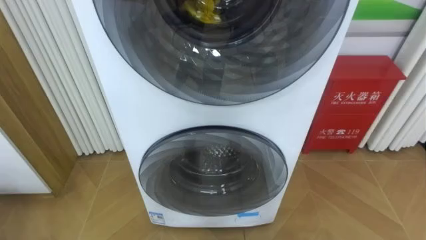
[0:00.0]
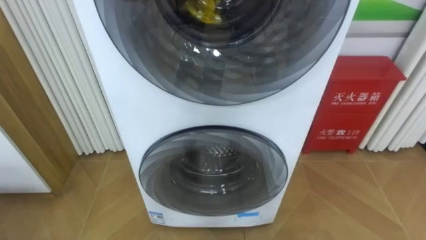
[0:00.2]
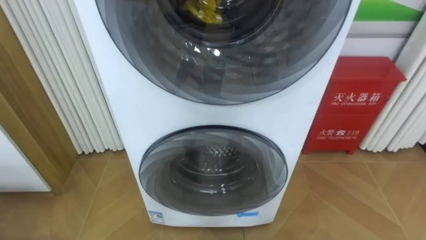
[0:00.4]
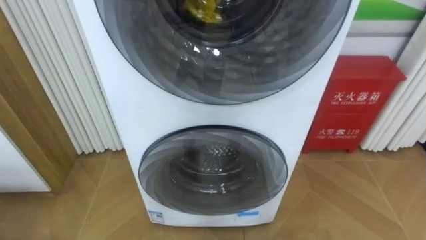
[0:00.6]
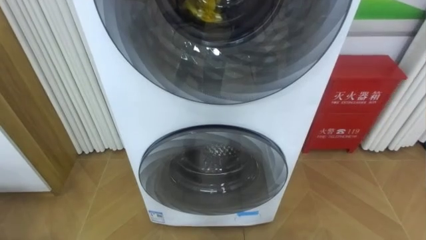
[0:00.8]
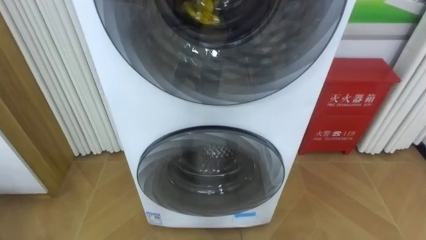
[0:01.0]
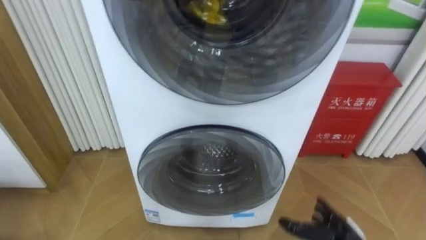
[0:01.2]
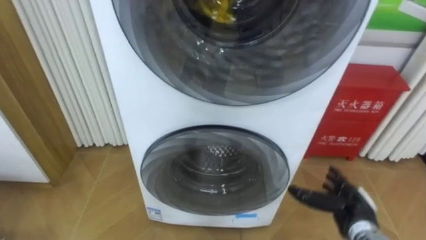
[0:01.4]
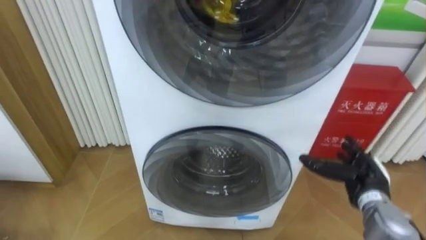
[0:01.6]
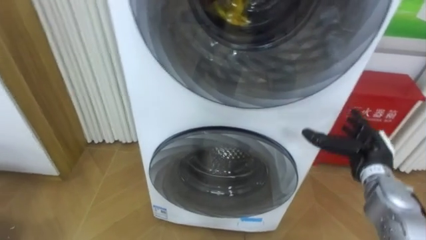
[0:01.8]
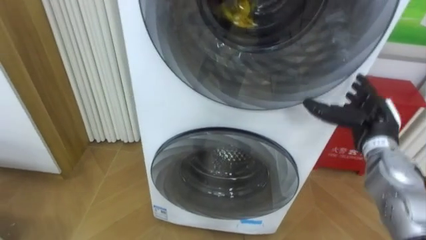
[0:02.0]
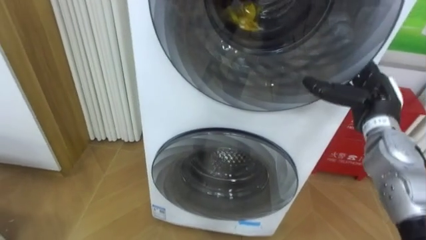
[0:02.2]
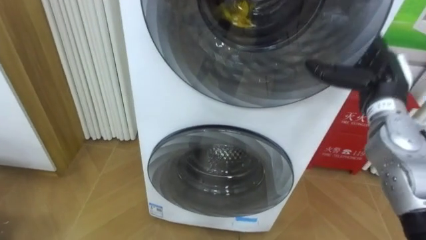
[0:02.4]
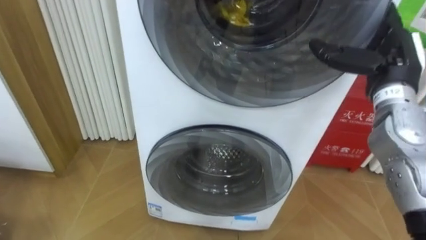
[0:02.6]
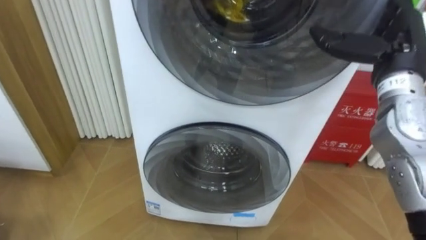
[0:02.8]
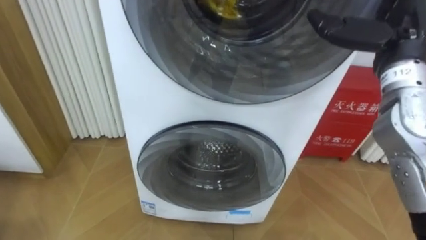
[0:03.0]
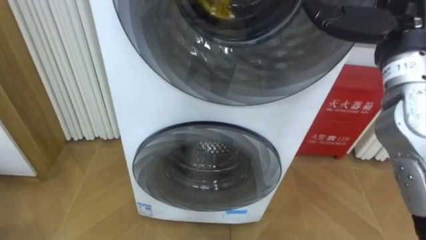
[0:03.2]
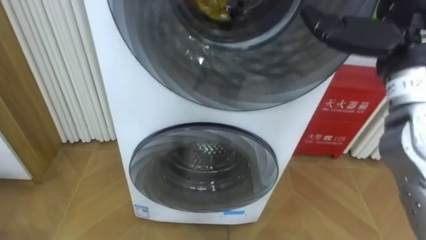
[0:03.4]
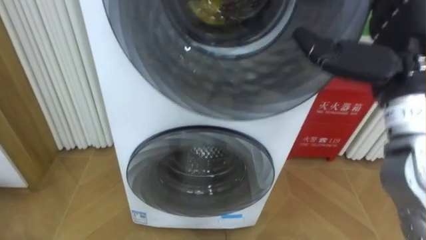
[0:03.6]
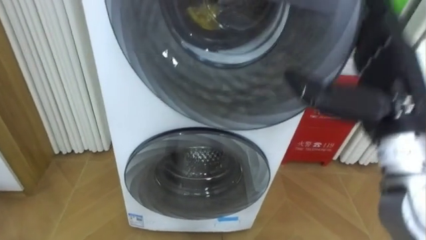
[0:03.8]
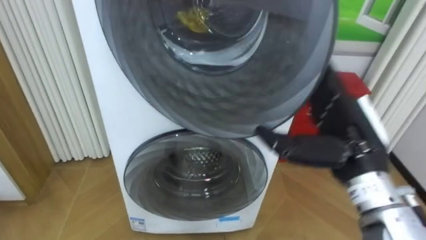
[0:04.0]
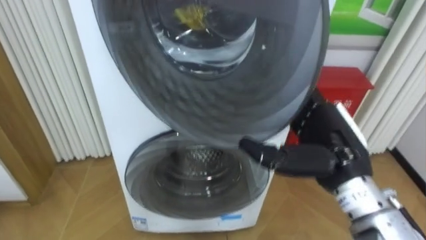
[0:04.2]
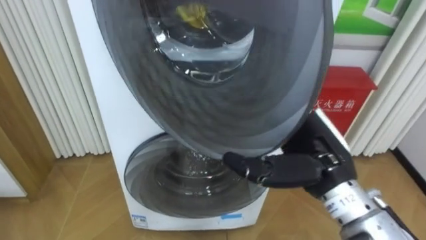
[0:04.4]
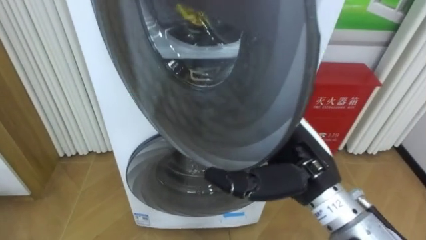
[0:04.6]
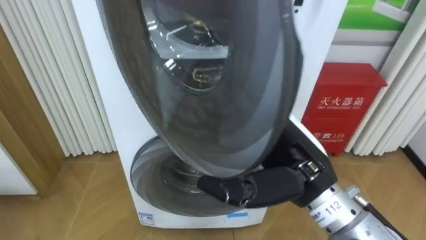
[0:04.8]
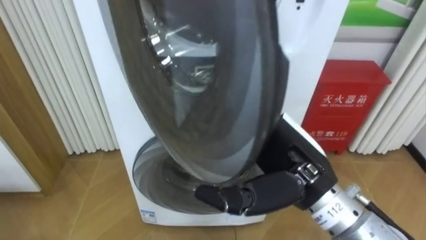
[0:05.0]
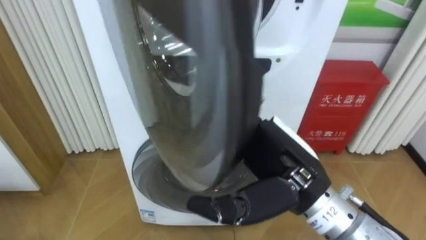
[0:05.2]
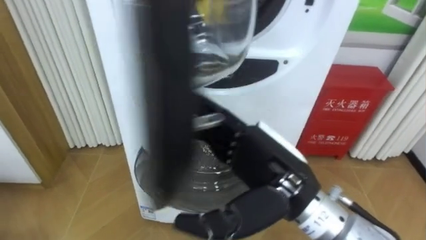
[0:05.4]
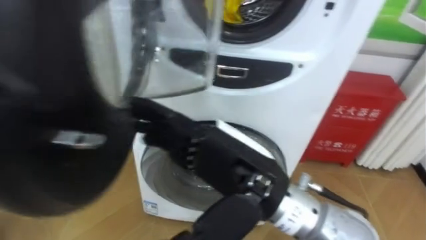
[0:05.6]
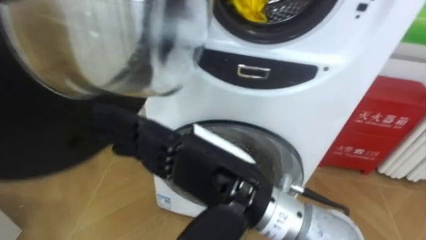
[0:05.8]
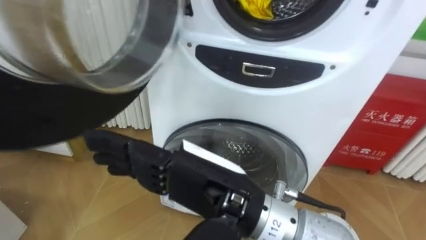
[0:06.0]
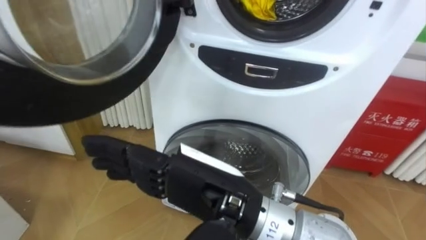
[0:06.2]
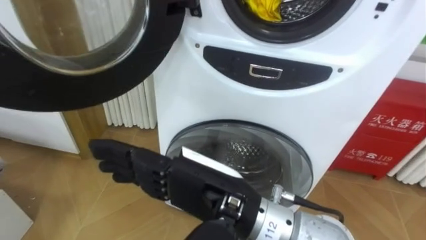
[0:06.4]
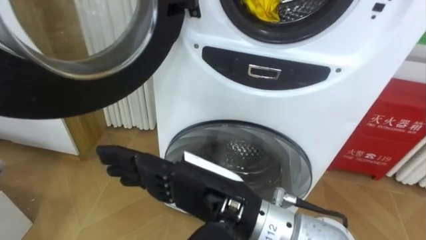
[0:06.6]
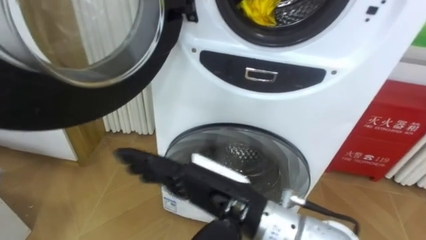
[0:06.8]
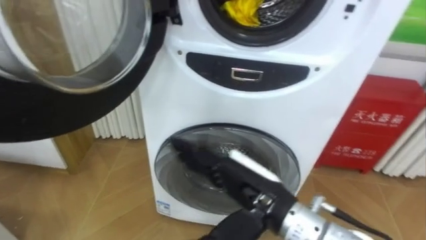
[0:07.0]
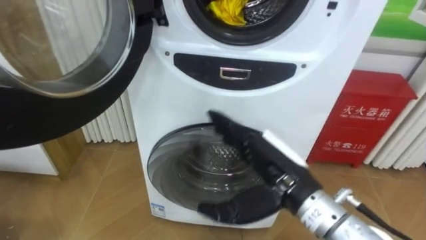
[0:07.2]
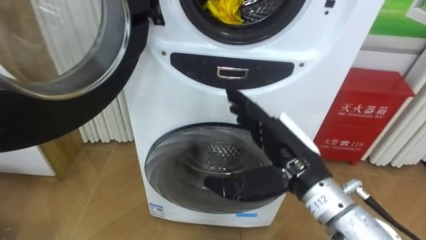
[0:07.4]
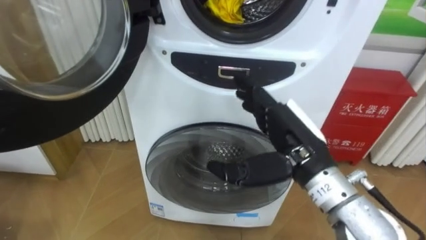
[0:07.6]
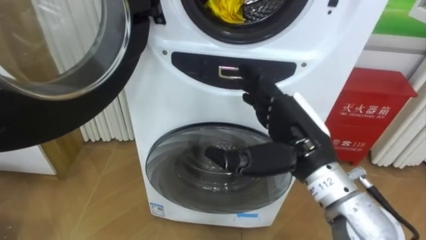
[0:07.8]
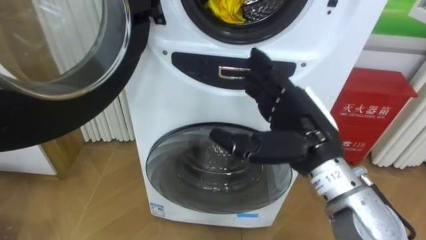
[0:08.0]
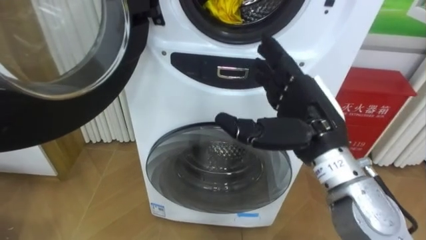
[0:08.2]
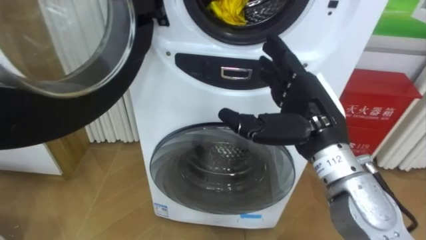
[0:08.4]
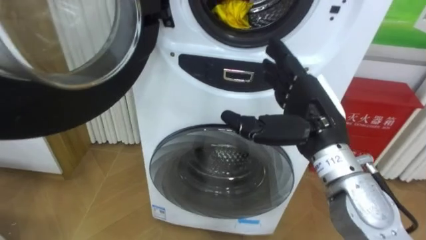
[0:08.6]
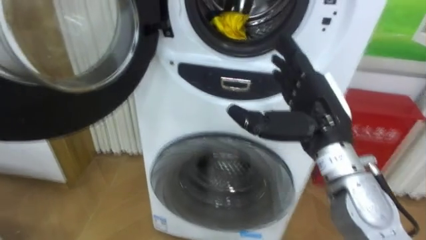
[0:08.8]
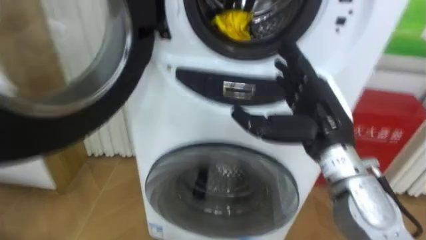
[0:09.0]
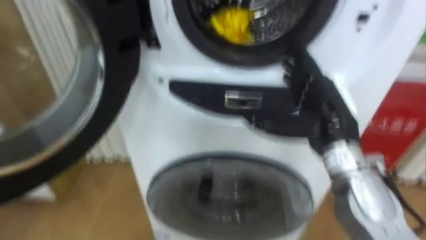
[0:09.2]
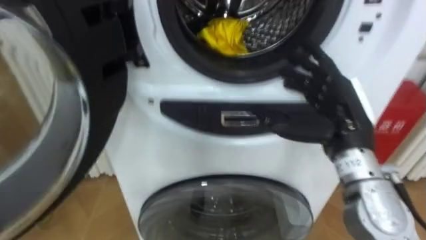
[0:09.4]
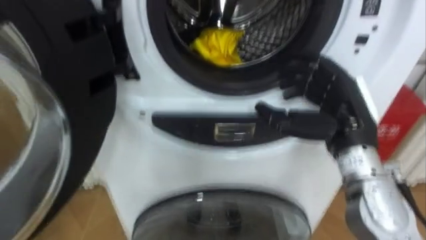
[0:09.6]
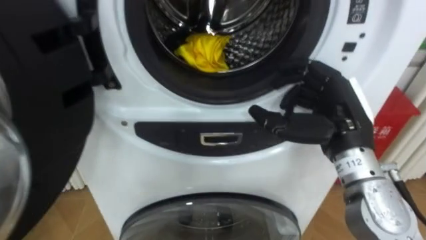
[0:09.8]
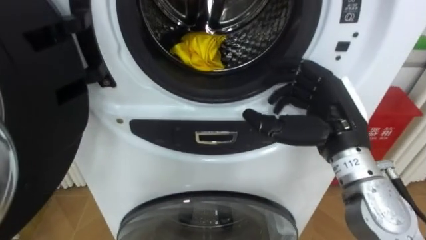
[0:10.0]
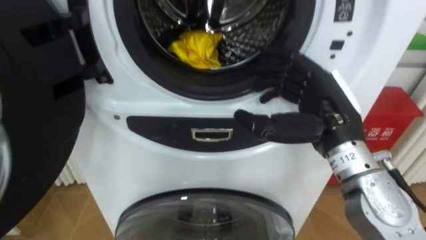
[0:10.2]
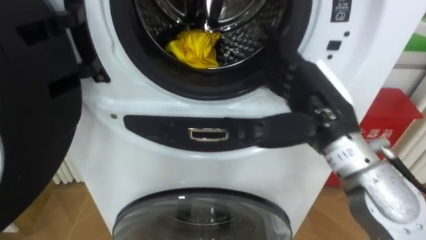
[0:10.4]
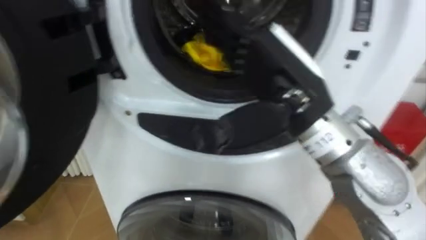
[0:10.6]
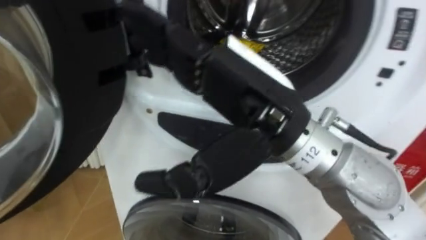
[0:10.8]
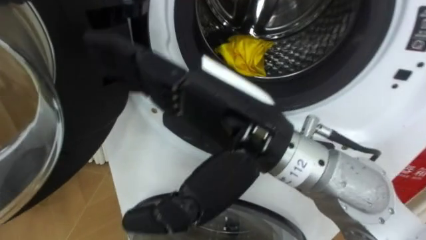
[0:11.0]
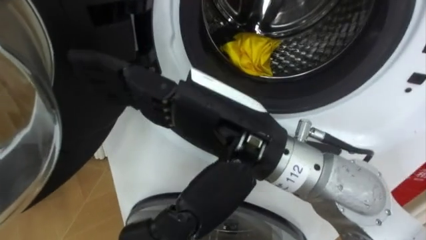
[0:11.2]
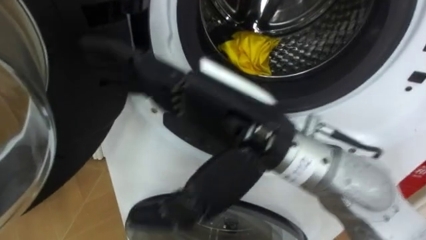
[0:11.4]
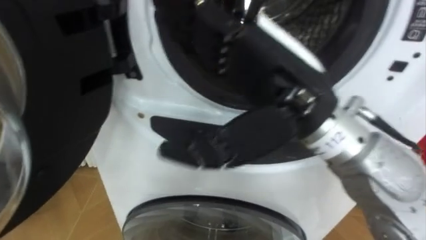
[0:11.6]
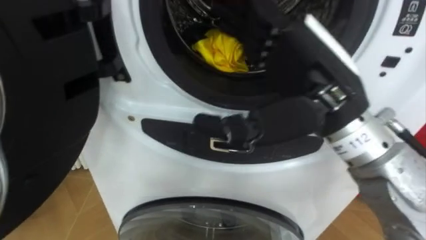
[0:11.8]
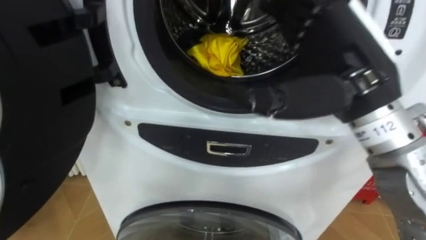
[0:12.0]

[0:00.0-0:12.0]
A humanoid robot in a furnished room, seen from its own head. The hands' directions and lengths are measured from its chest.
Task of the whole recording: Open the washing machine door, take out the yellow clothes, place them in the box on the right, and close the washing machine door.
0:01.6 to 0:03.0: The right hand moves upward, some 30 cm.
0:03.0 to 0:04.4: The right hand moves downward, to the left and backward, some 20 cm.
0:04.4 to 0:06.0: The right hand goes approximately 15 cm to the left and backward.
0:06.0 to 0:07.6: The right hand is displaced to the right and forward by about 15 cm.
0:07.6 to 0:09.0: The right hand changes place by roughly 5 cm.
0:10.4 to 0:12.0: The right hand moves upward, roughly 5 cm, and moves approximately 10 cm to the left and comes back.

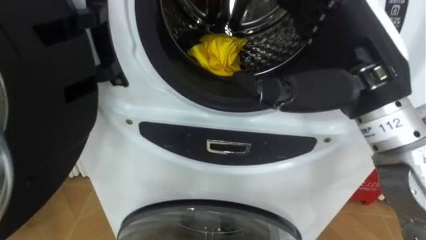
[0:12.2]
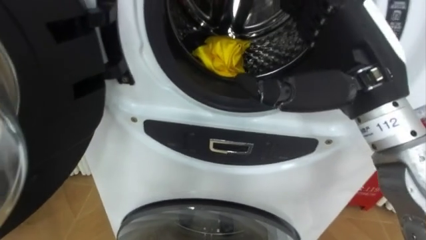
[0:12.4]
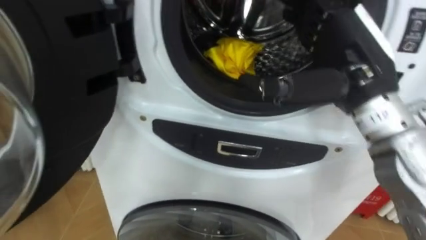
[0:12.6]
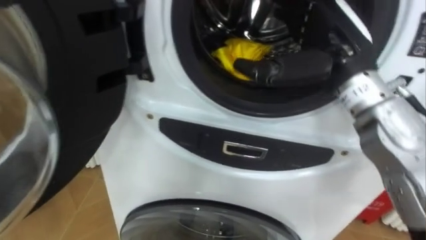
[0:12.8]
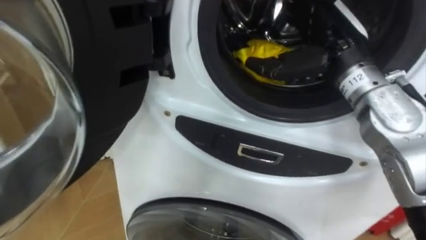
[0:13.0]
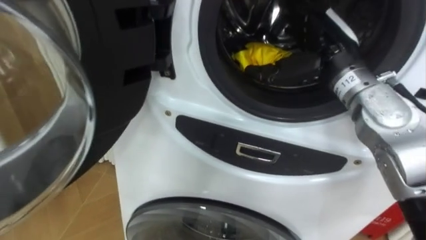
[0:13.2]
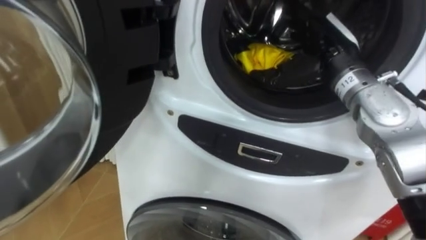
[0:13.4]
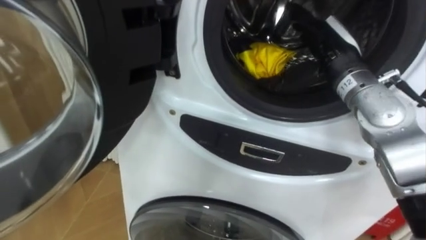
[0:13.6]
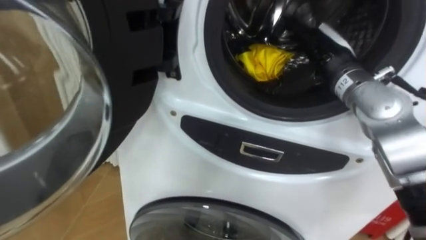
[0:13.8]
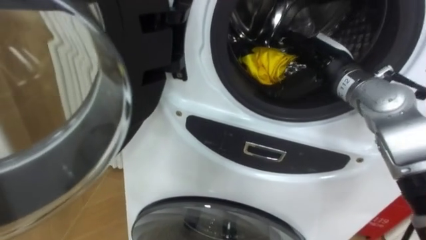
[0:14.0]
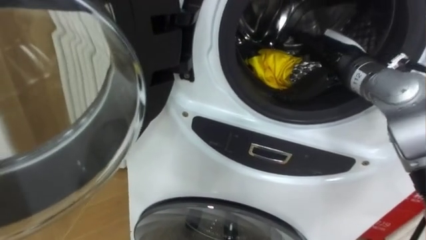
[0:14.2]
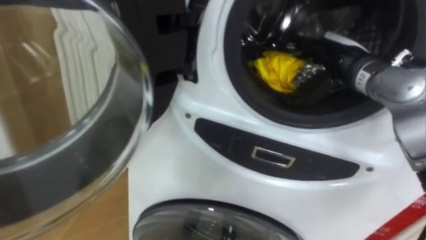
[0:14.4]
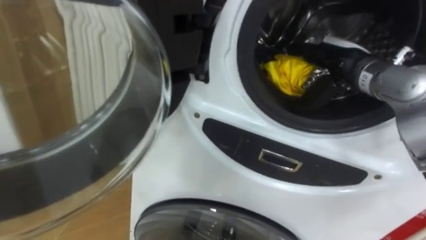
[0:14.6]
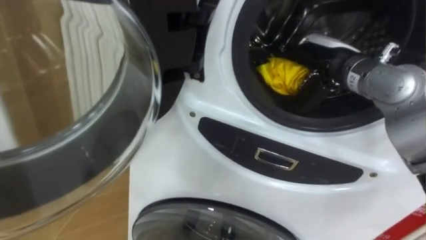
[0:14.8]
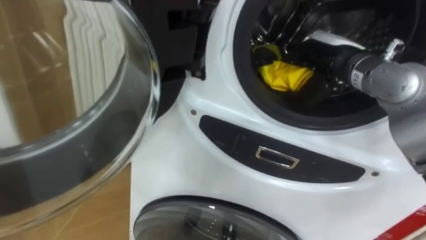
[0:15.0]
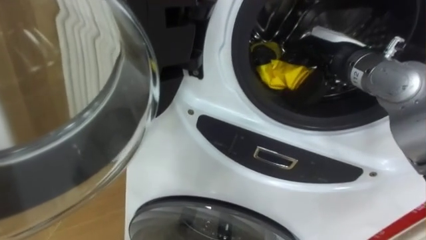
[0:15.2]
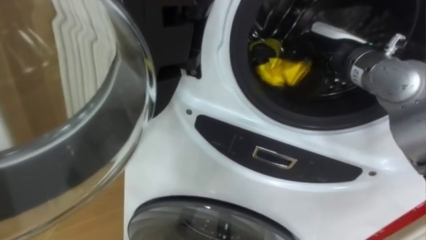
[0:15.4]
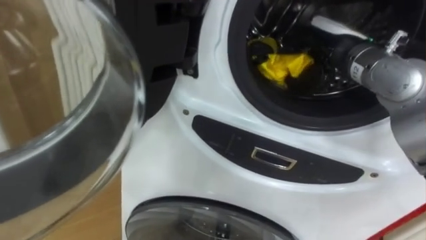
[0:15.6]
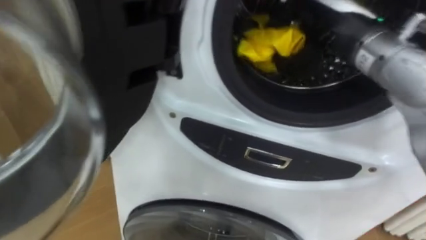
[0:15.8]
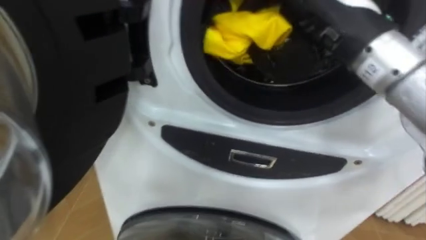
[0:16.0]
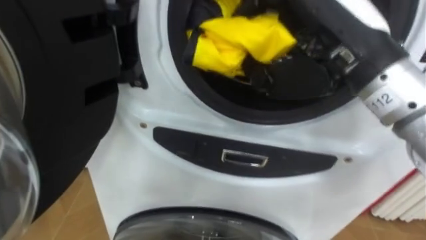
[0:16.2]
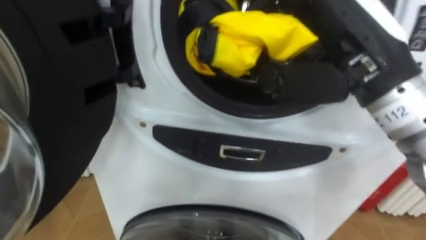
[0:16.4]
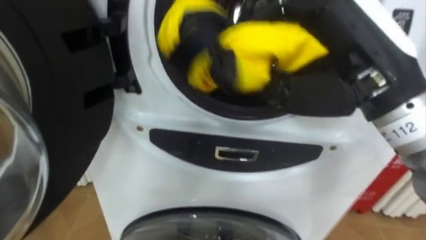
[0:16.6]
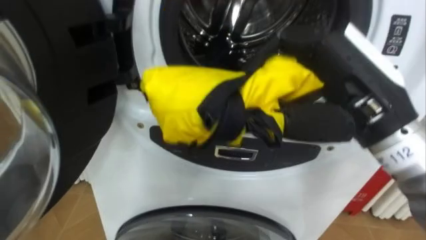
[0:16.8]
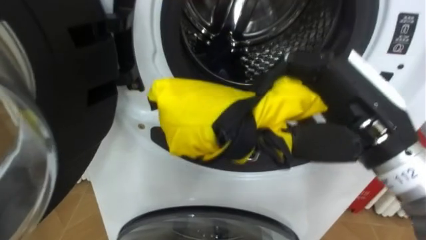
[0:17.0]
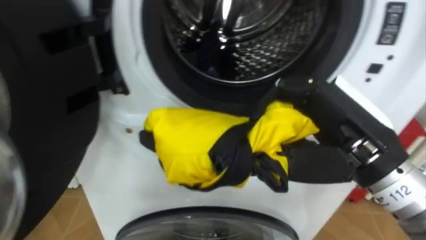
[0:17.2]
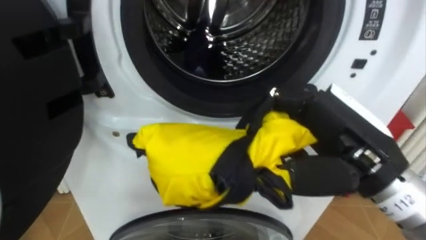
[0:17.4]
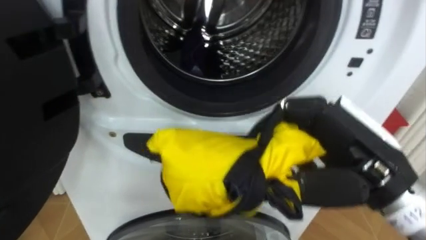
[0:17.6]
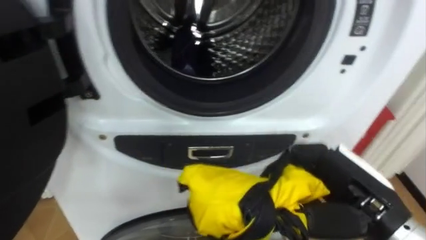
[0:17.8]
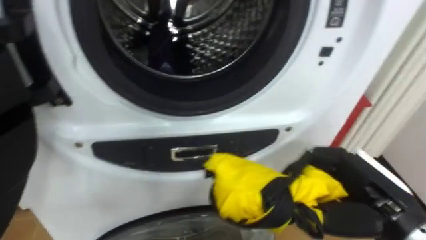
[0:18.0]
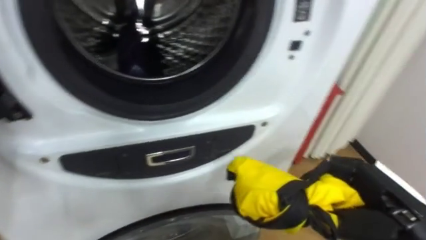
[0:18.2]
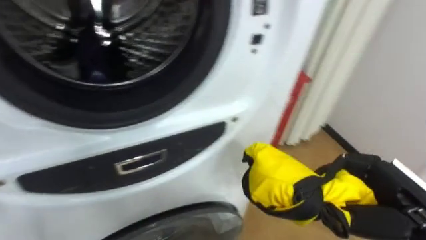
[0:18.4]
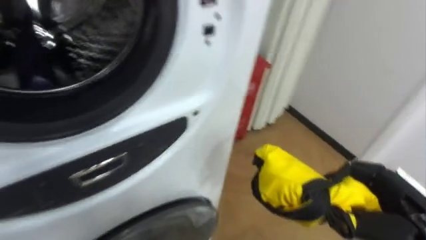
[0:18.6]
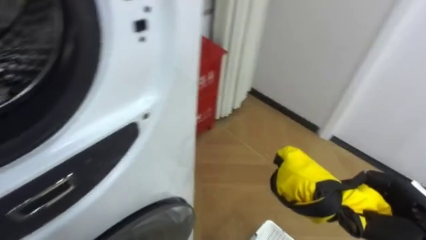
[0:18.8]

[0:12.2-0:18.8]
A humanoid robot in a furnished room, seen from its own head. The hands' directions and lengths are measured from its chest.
Task of the whole recording: Open the washing machine door, take out the yellow clothes, place them in the box on the right, and close the washing machine door.
0:12.2 to 0:13.8: The right hand is displaced forward and downward by some 15 cm.
0:13.8 to 0:15.4: The right hand closes its fingers.
0:15.4 to 0:17.2: The right hand goes approximately 15 cm backward.
0:17.2 to 0:18.8: The right hand travels downward and to the right by about 20 cm.
